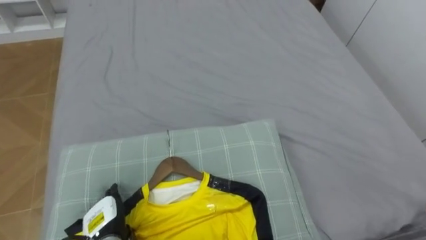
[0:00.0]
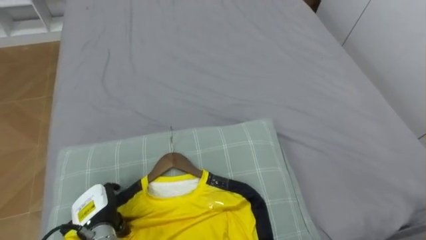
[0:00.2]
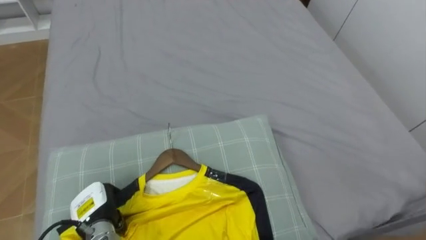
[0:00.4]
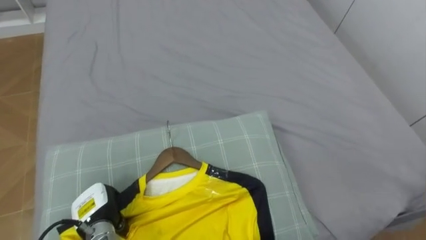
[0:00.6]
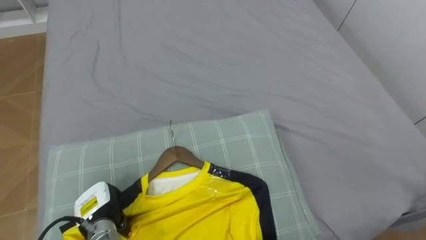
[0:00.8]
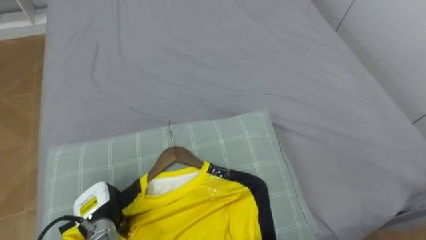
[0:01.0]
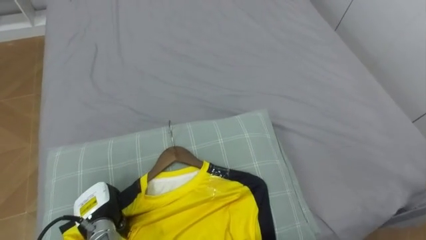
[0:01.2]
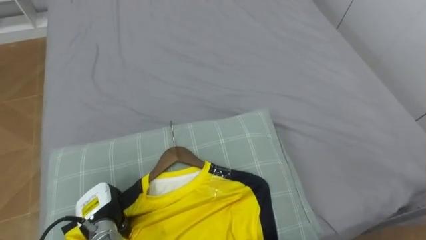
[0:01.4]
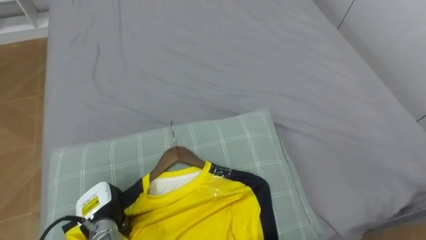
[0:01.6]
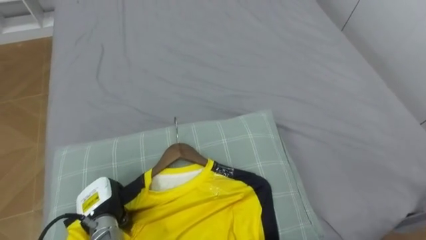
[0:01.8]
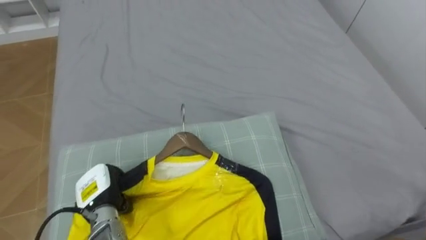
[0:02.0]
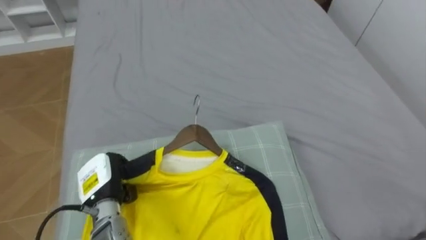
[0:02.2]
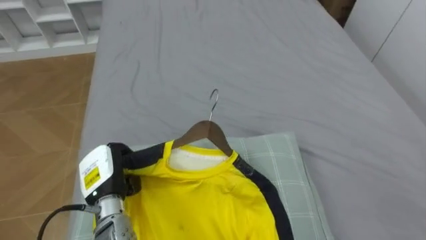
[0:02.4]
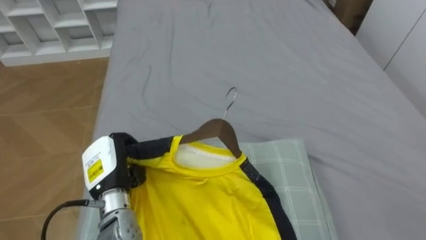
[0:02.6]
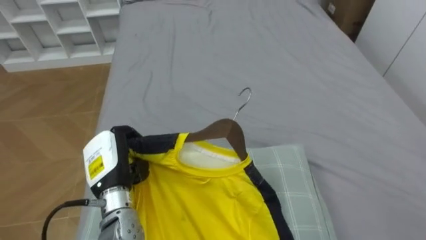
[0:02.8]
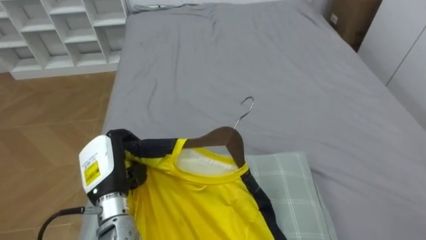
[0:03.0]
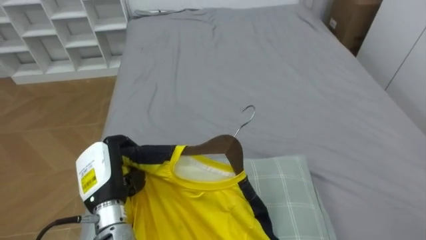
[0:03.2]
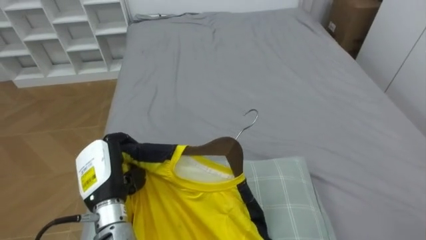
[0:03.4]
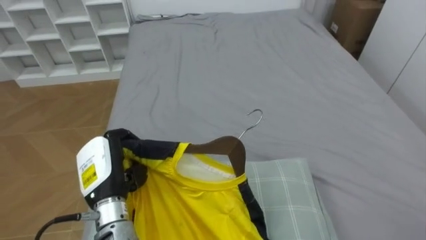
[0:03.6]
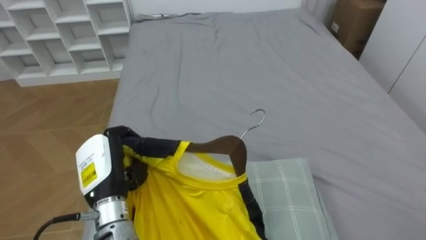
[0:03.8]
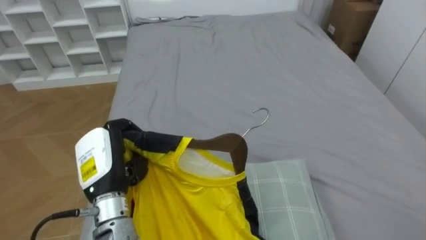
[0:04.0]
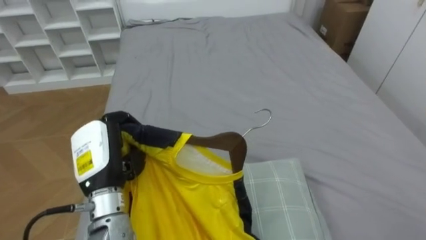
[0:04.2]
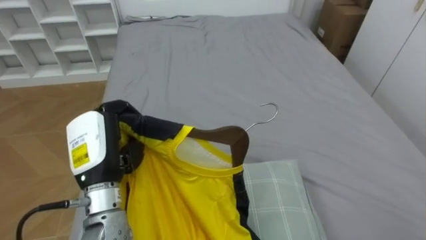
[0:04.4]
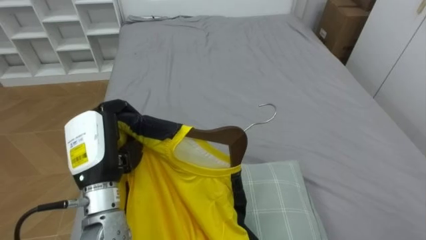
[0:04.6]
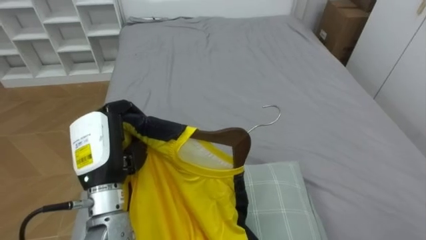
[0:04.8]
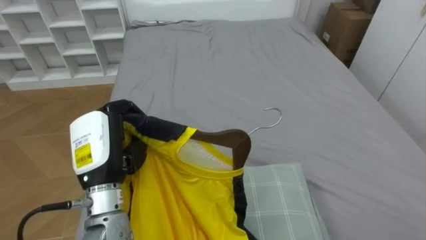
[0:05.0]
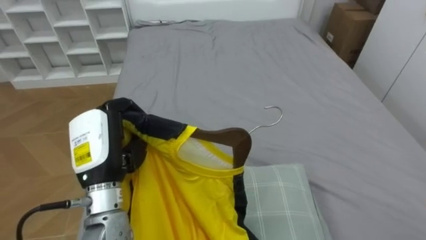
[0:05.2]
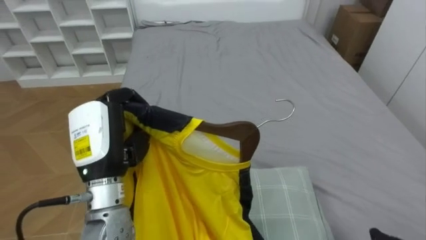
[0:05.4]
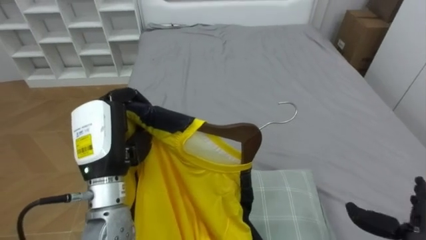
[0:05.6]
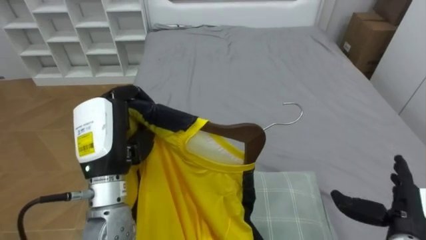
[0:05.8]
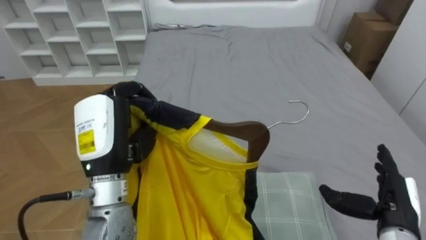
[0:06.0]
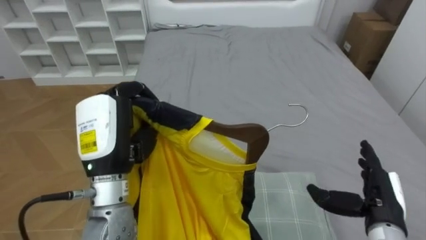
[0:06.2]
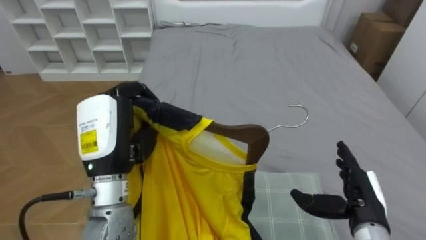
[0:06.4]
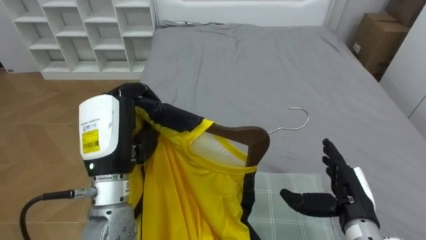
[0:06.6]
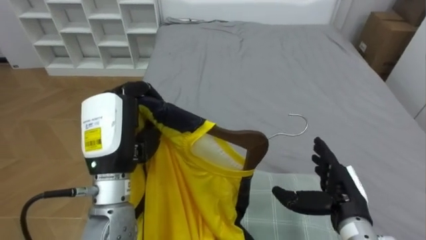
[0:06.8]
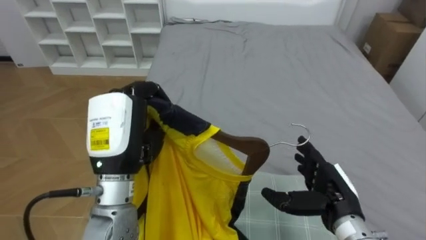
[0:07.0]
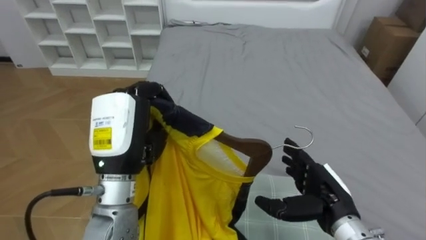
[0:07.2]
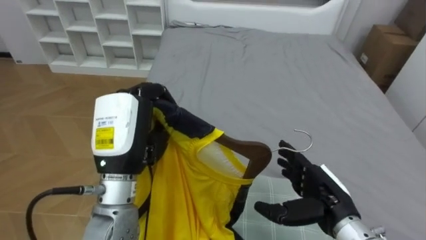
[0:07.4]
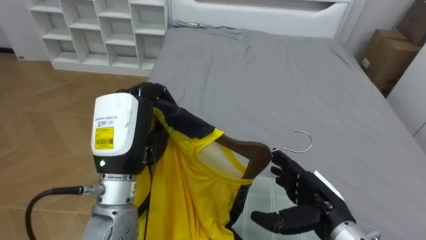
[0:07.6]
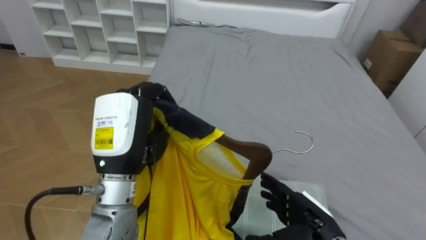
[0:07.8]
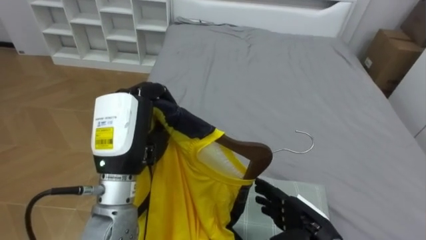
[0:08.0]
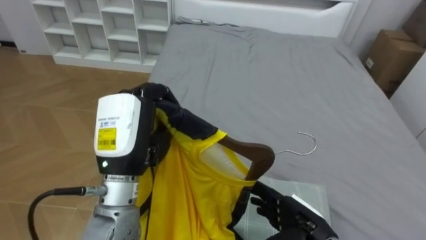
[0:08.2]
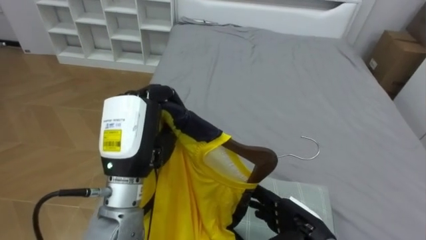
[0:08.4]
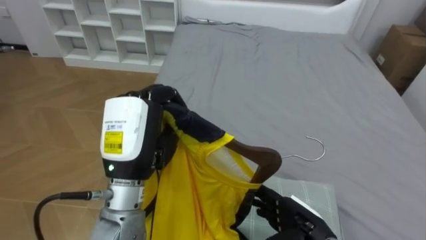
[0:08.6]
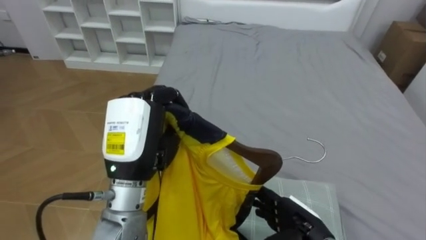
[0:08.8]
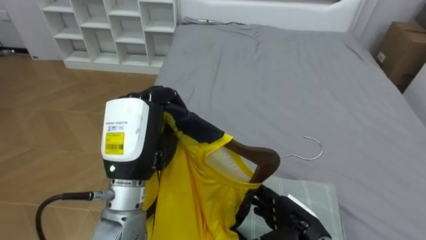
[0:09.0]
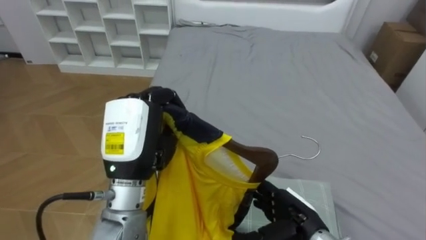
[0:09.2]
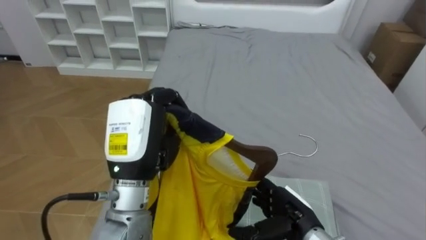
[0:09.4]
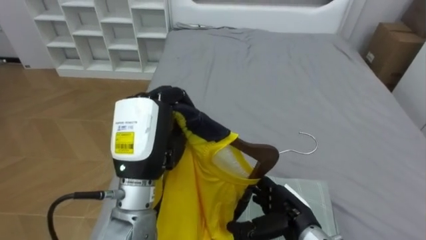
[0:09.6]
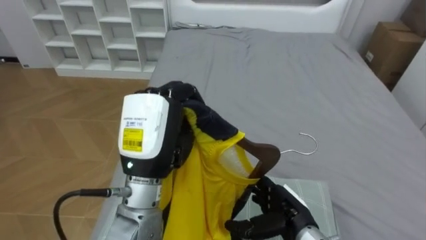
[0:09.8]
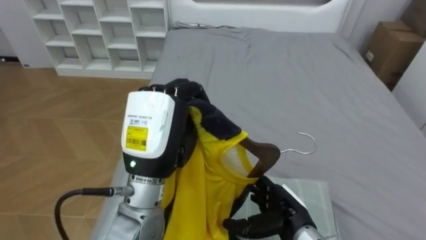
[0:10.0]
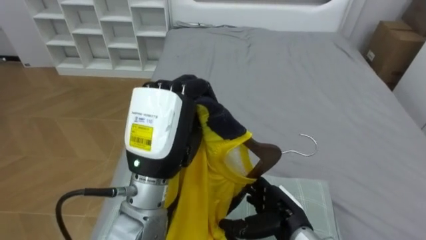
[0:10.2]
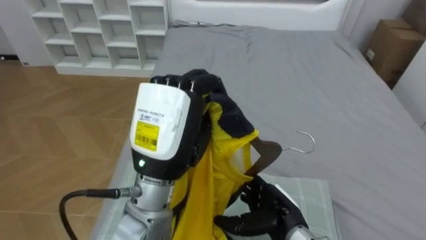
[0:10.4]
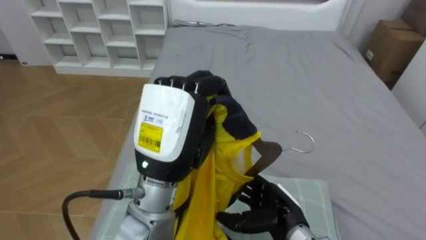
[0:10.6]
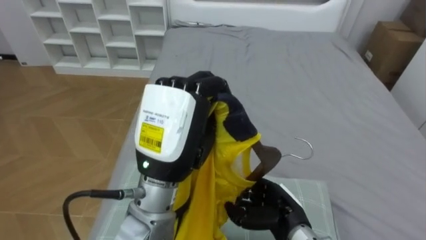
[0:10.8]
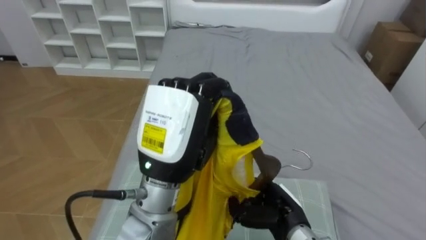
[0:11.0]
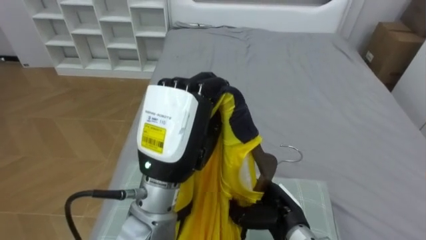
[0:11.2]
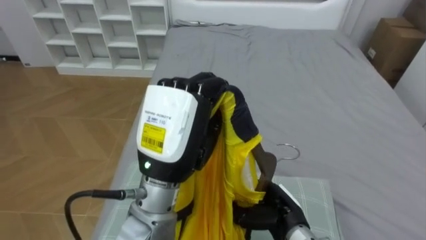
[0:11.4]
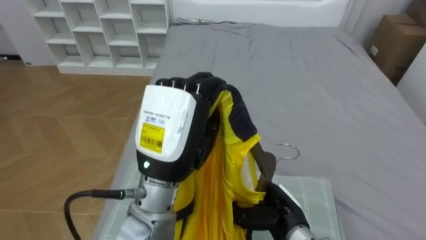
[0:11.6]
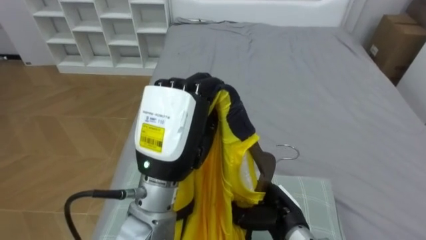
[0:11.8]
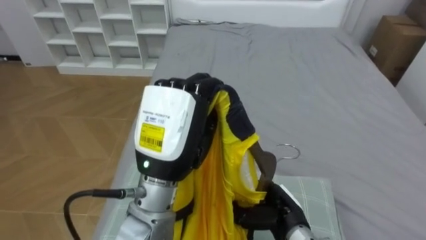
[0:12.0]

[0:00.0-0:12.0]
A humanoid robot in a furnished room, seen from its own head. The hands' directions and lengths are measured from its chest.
Task of the whole recording: Pick up the yellow shirt on the bed and hang it on the clothes rack on the right.
0:00.0 to 0:01.6: The left hand closes.
0:01.6 to 0:03.0: The left hand heads upward, covering approximately 10 cm.
0:03.0 to 0:04.4: The left hand moves upward, about 5 cm.
0:06.0 to 0:07.6: The right hand goes about 10 cm to the left.
0:07.6 to 0:09.0: The right hand ends up about 5 cm from where it was.
0:09.0 to 0:10.4: The left hand travels to the right by roughly 5 cm.
0:10.4 to 0:12.0: The right hand closes up.

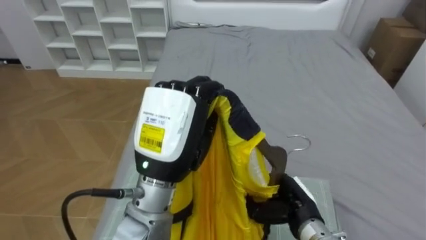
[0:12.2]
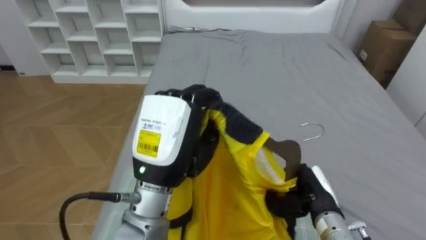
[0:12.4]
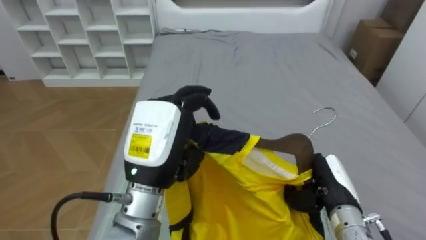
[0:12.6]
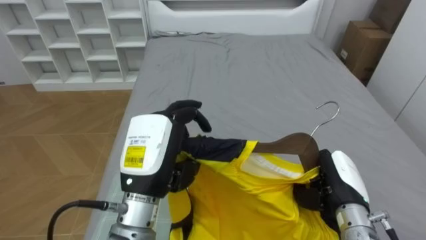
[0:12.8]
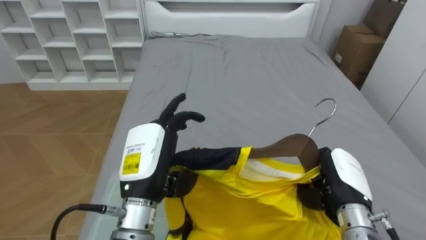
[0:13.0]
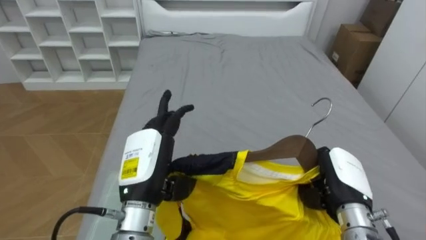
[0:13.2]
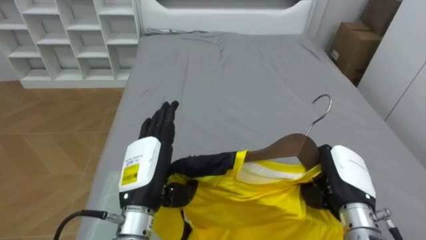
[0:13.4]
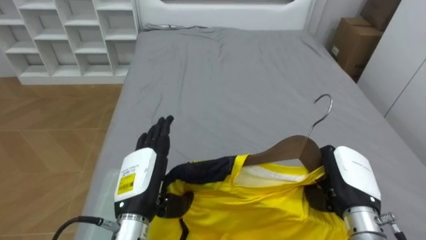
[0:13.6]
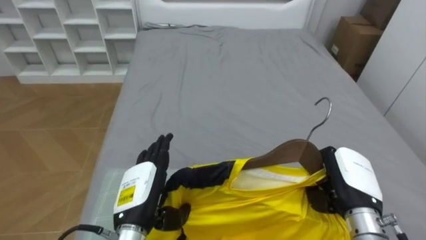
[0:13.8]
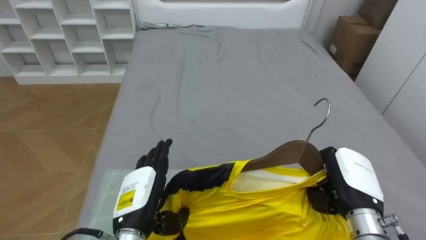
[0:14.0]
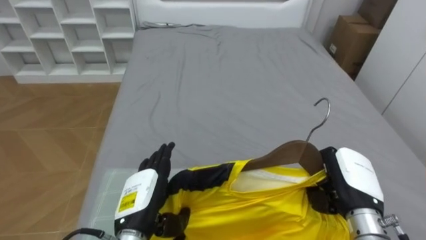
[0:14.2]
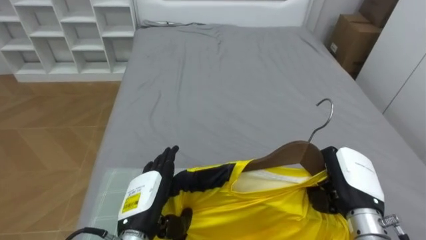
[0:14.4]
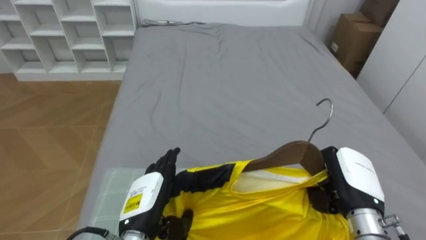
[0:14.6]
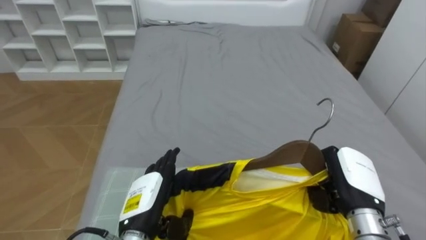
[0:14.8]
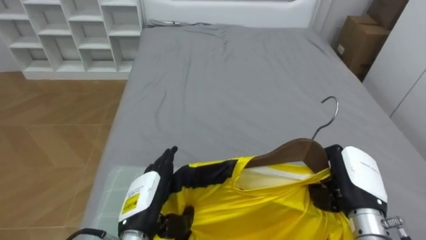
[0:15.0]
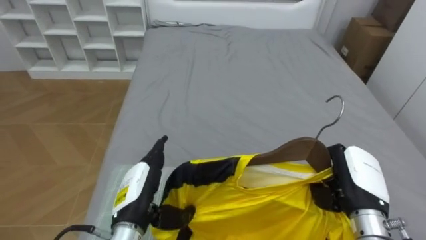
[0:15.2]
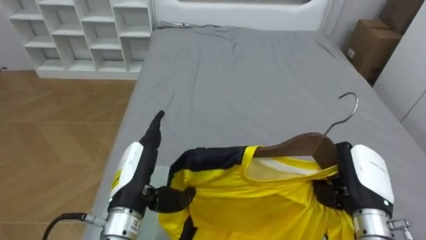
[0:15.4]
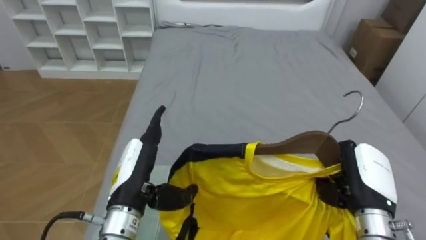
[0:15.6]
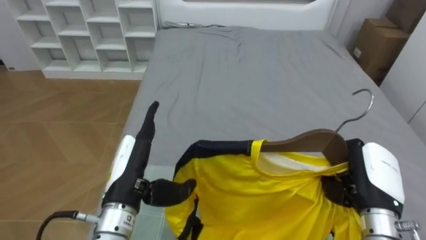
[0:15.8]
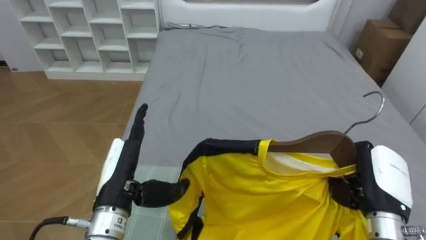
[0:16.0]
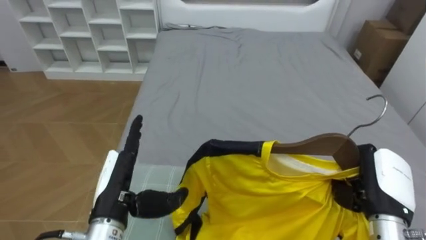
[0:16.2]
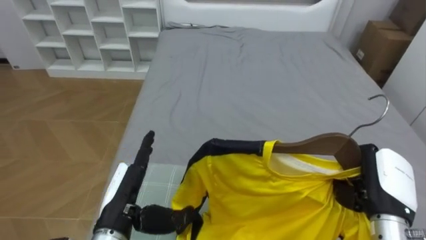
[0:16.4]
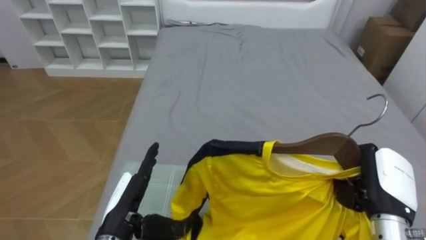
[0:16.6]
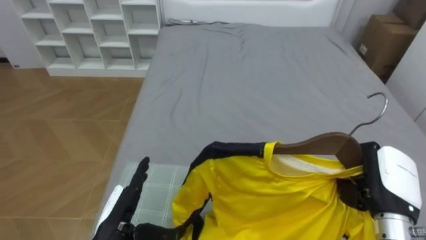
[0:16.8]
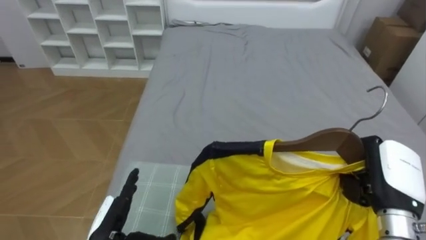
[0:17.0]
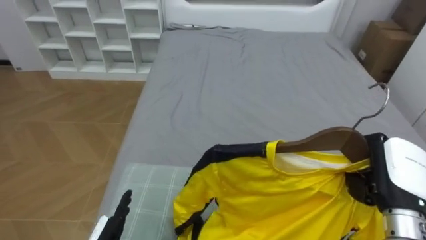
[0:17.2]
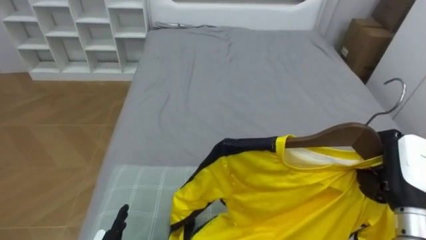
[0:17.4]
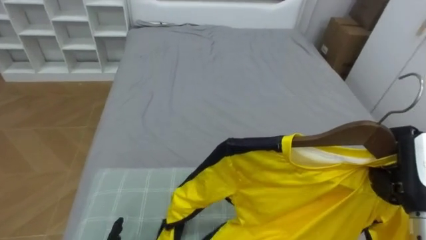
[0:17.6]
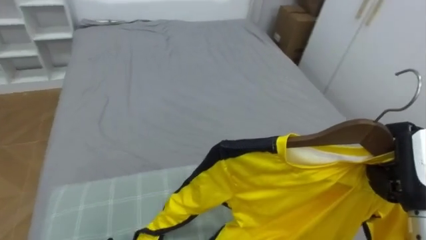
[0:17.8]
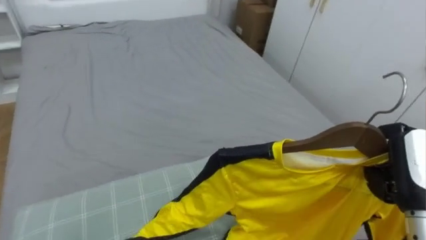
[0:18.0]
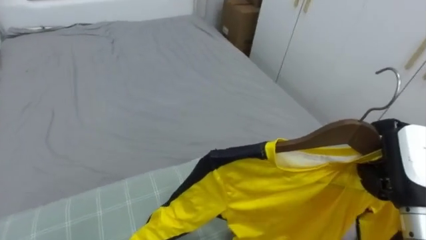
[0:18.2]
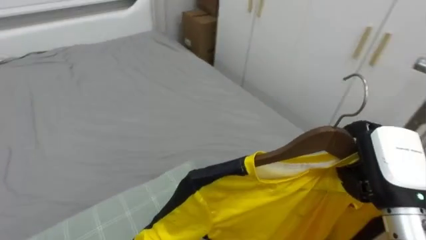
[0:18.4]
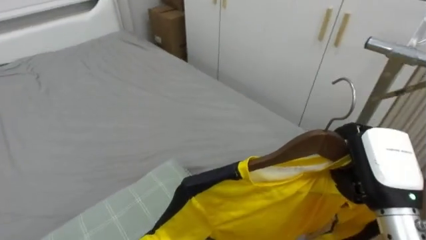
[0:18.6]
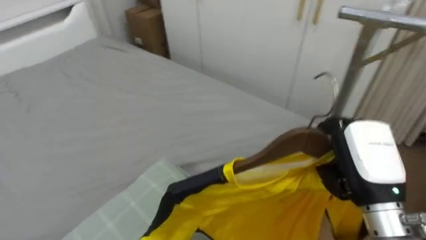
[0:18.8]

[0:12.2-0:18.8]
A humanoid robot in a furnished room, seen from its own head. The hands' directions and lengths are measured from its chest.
Task of the whole recording: Pick up the yellow shirt on the bed and hang it on the clothes rack on the right.
0:12.2 to 0:13.8: The left hand is displaced downward by some 15 cm, and opens its fingers, while the right hand travels to the right and upward by approximately 10 cm.
0:17.2 to 0:18.8: The robot turns to its right by some 60 degrees. The right hand shifts about 10 cm to the left and upward.
